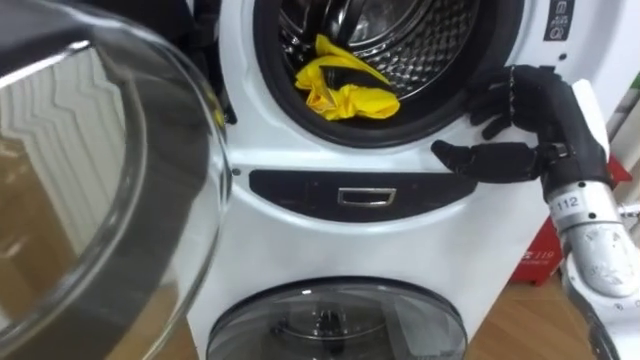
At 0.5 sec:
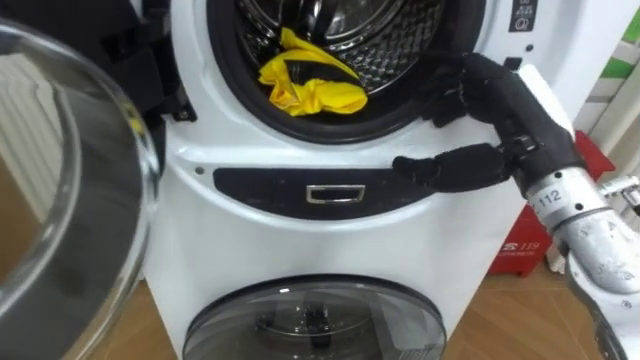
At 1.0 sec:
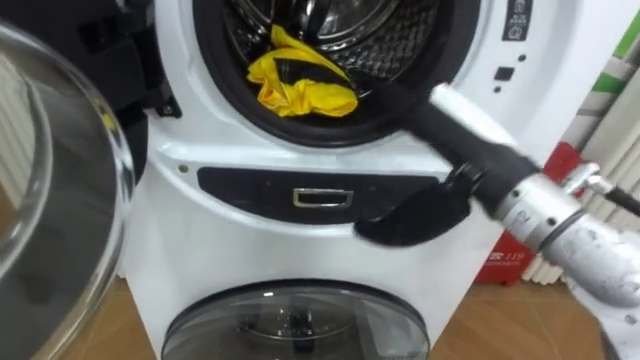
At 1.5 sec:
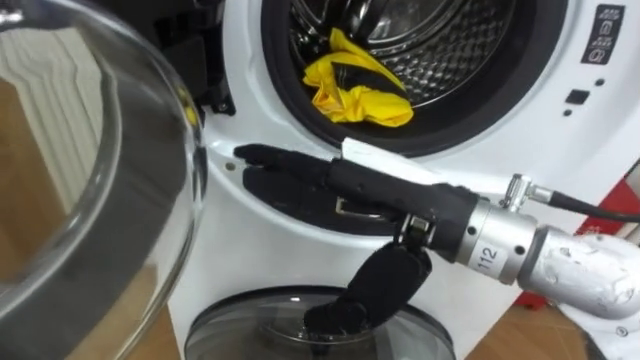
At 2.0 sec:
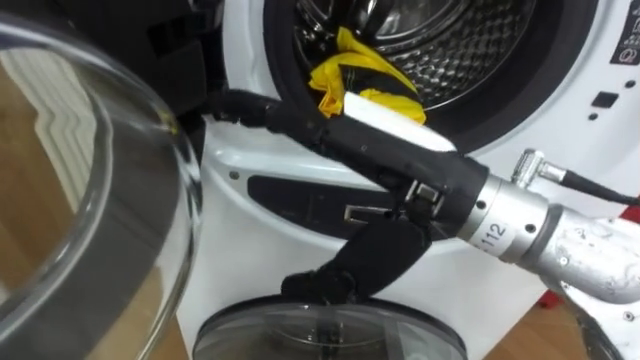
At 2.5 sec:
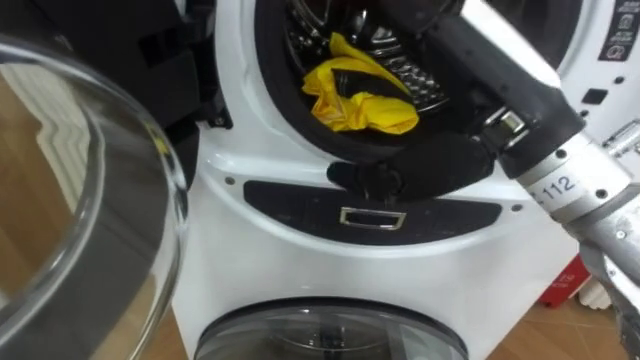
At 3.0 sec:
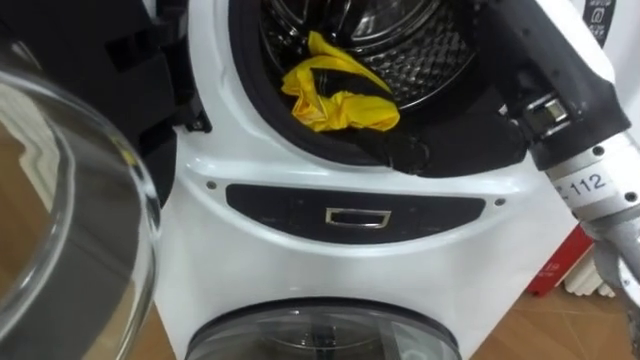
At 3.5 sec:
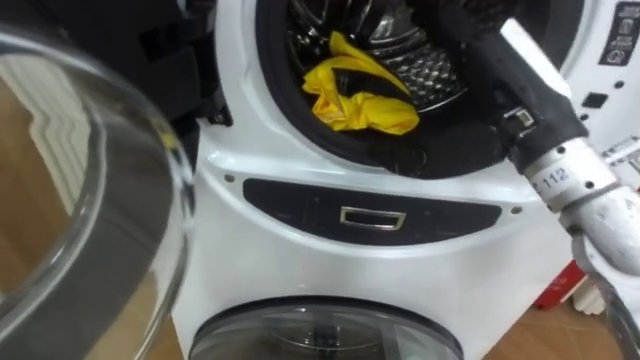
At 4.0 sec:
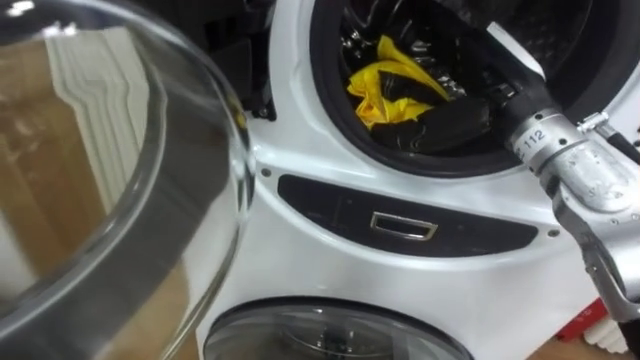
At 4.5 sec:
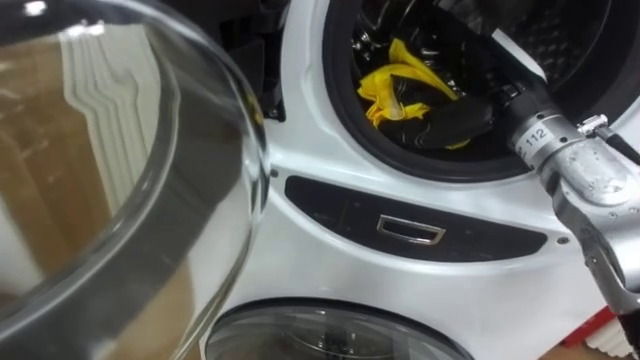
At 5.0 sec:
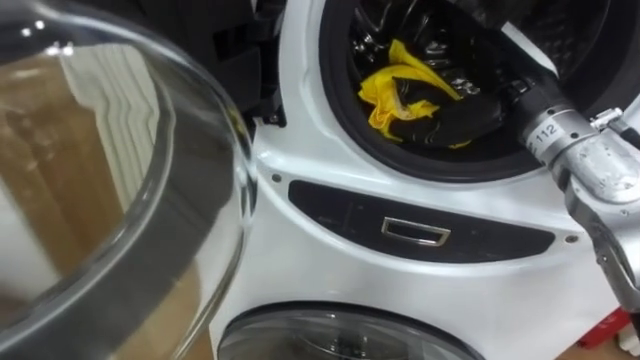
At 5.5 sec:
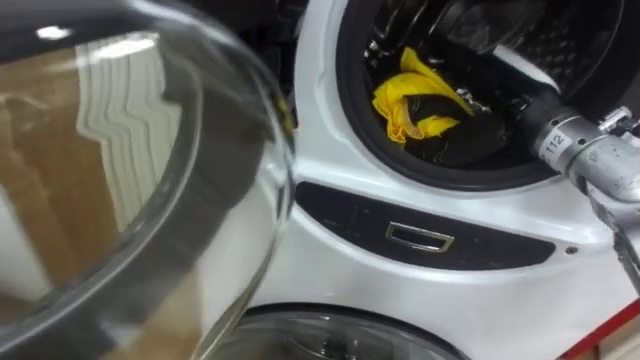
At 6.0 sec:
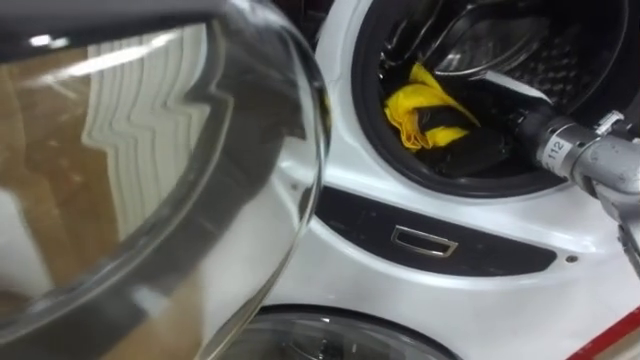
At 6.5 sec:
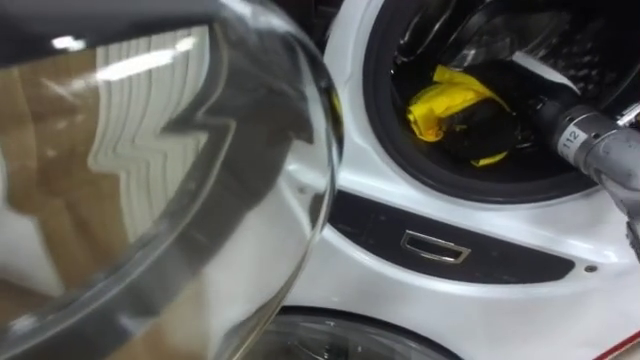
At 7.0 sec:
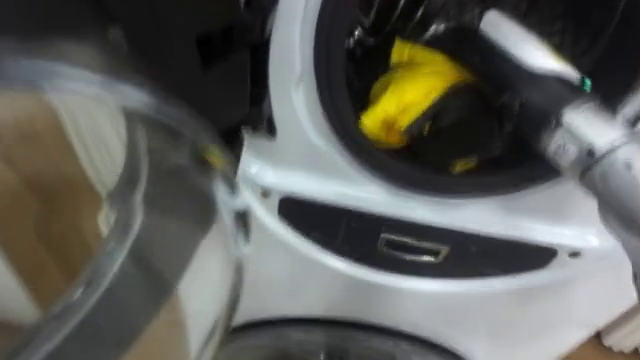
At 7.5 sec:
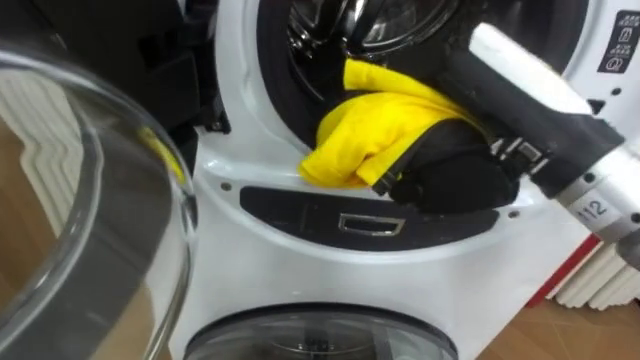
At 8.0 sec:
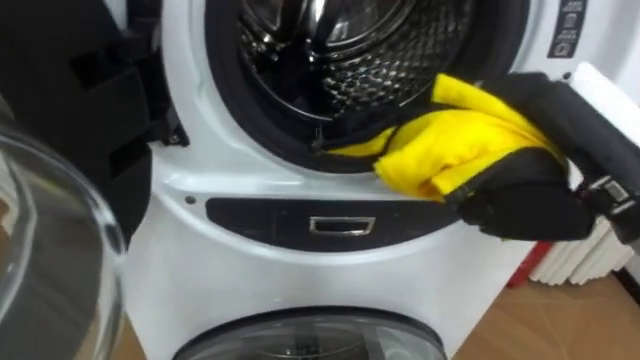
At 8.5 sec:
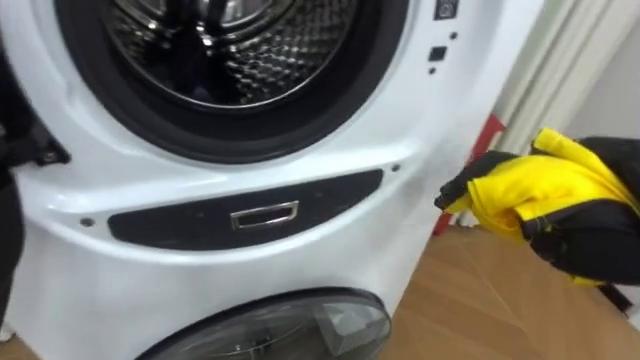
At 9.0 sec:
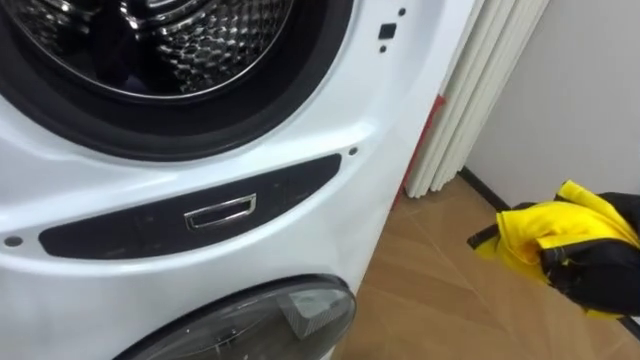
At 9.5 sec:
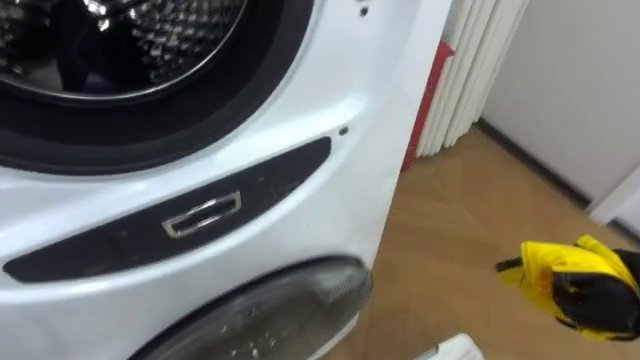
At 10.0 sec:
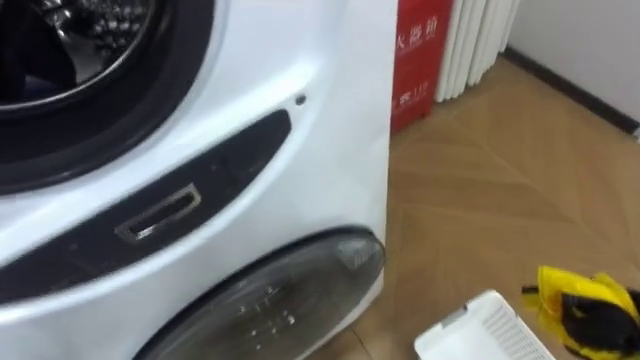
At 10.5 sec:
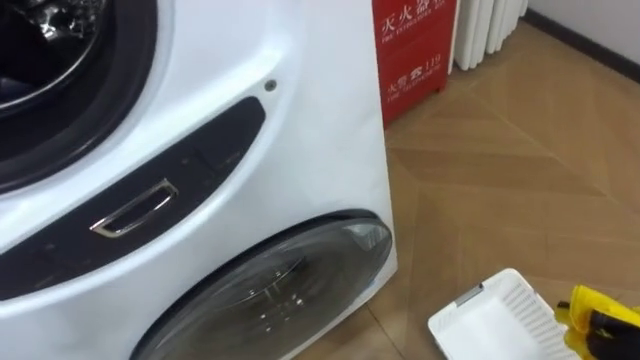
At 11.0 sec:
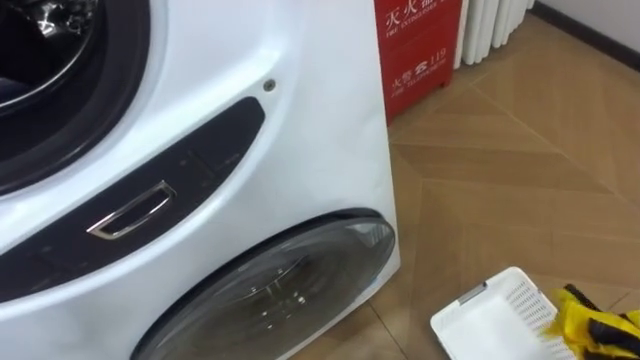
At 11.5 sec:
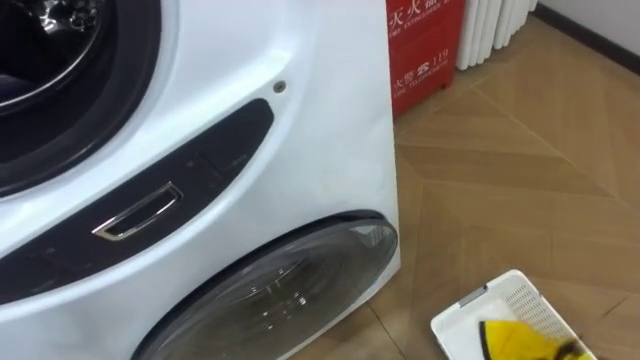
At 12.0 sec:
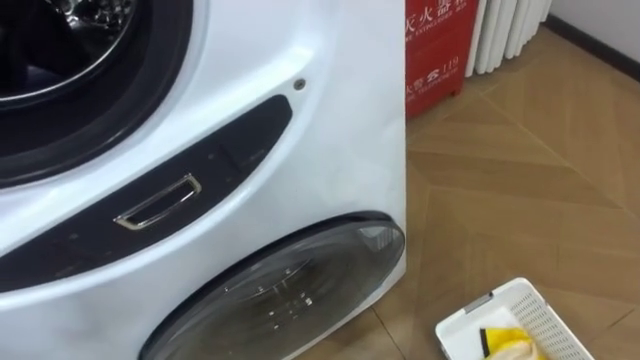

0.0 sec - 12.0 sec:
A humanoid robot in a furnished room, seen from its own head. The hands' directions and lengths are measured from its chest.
Task of the whole recording: Open the washing machine door, take out the yellow clothes, place them in the box on the right, and close the washing machine door.
0.0 sec - 2.0 sec: The right hand heads to the left and backward, covering about 20 cm.
2.0 sec - 4.0 sec: The right hand moves forward and to the right, about 15 cm.
4.0 sec - 6.0 sec: The right hand is displaced downward by some 5 cm.
6.0 sec - 8.0 sec: The right hand is displaced backward and upward by approximately 15 cm, and closes.
8.0 sec - 10.0 sec: The robot faces roughly 20 degrees further to its right.
